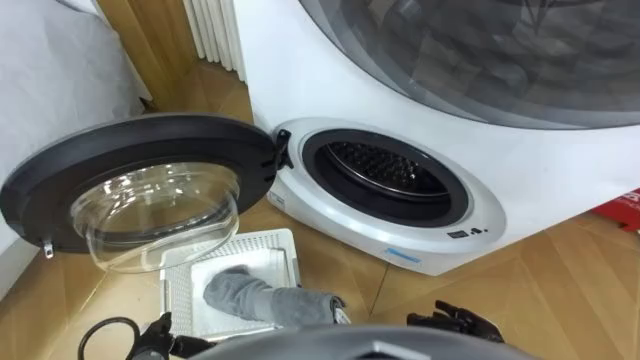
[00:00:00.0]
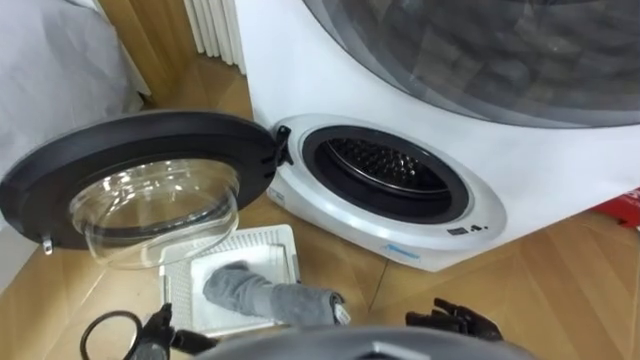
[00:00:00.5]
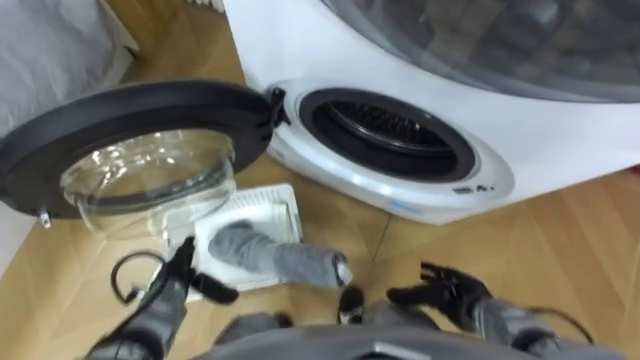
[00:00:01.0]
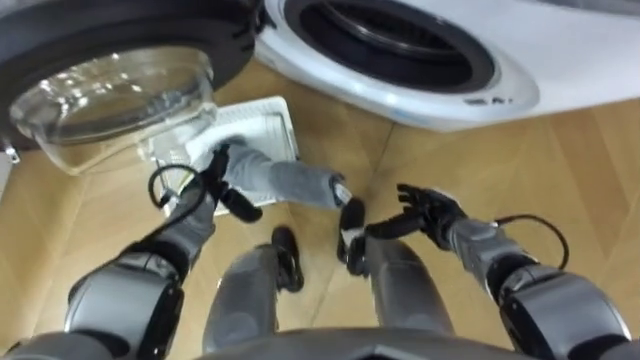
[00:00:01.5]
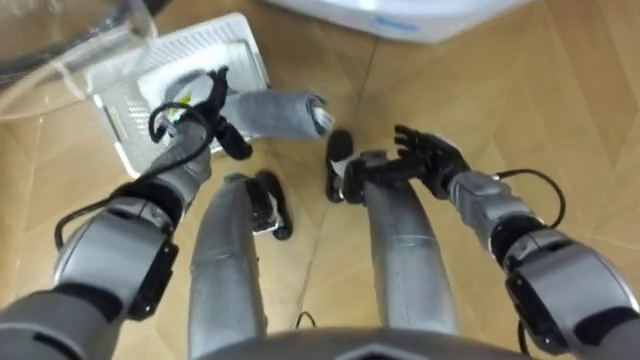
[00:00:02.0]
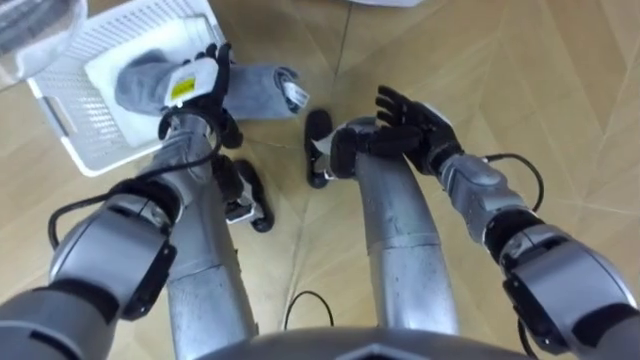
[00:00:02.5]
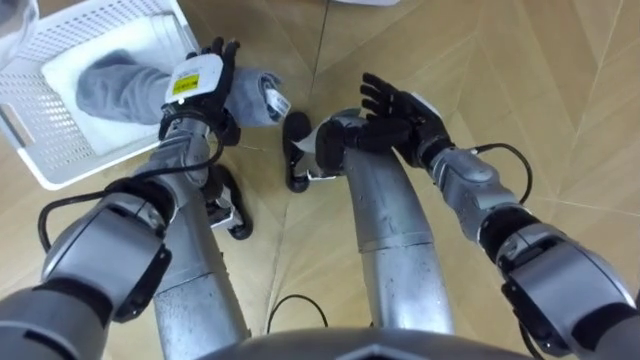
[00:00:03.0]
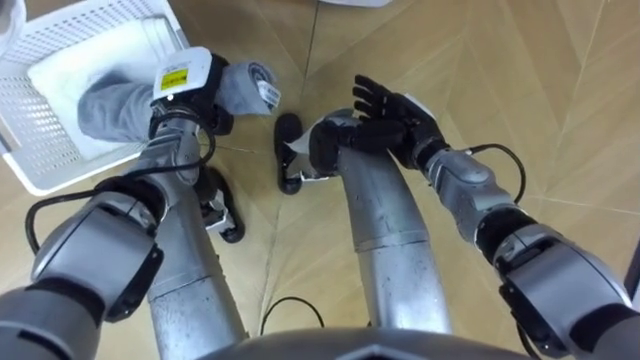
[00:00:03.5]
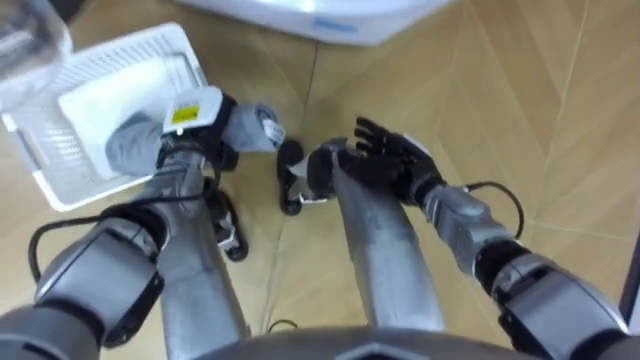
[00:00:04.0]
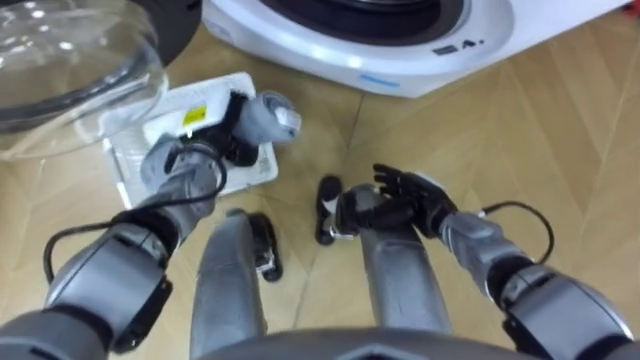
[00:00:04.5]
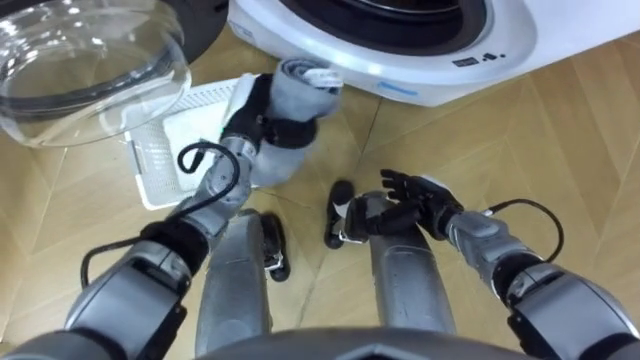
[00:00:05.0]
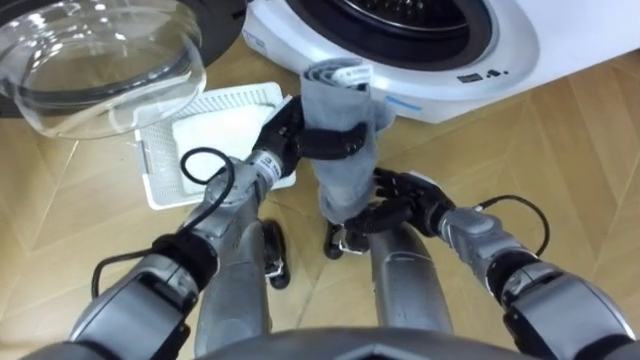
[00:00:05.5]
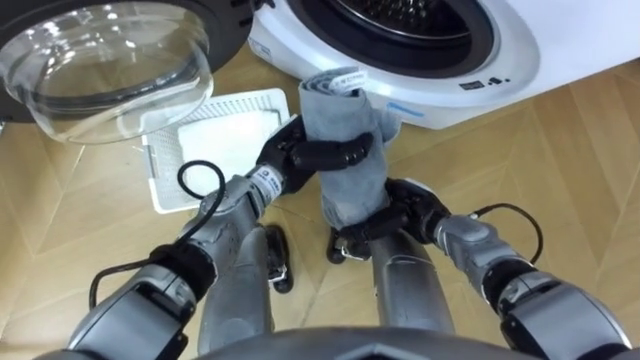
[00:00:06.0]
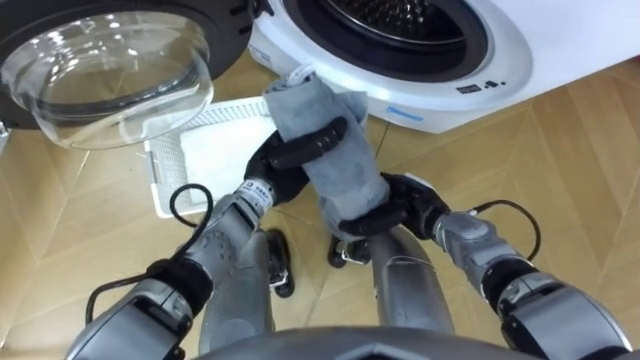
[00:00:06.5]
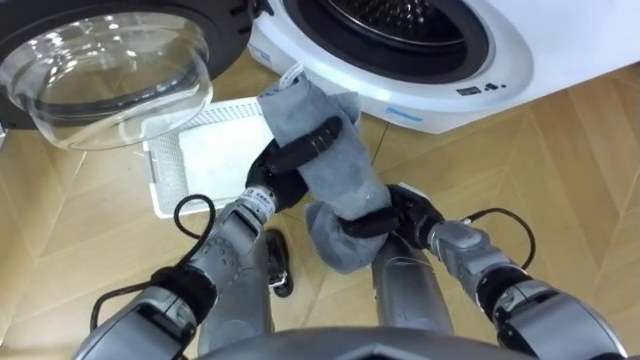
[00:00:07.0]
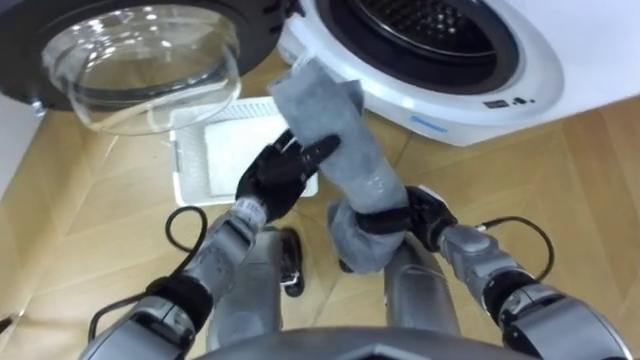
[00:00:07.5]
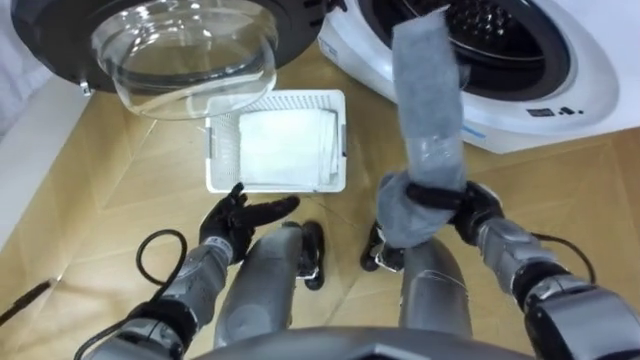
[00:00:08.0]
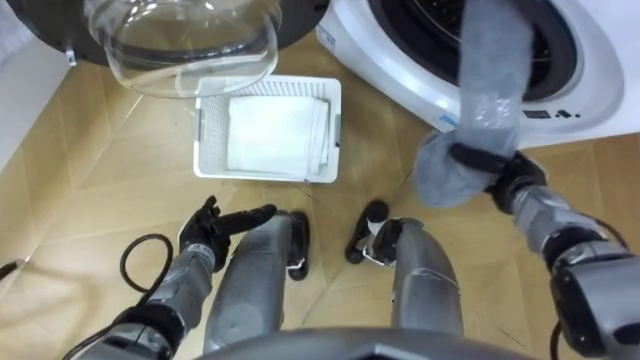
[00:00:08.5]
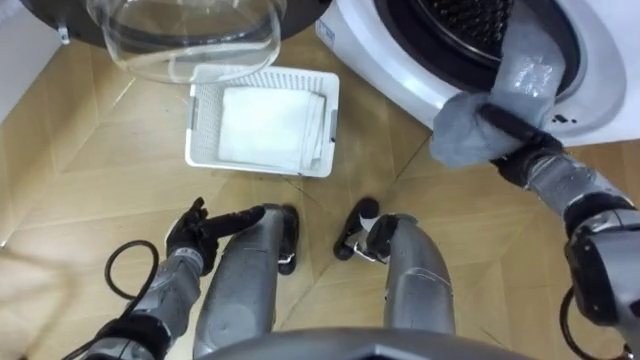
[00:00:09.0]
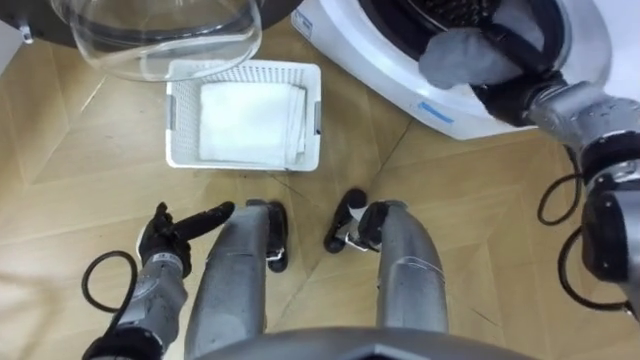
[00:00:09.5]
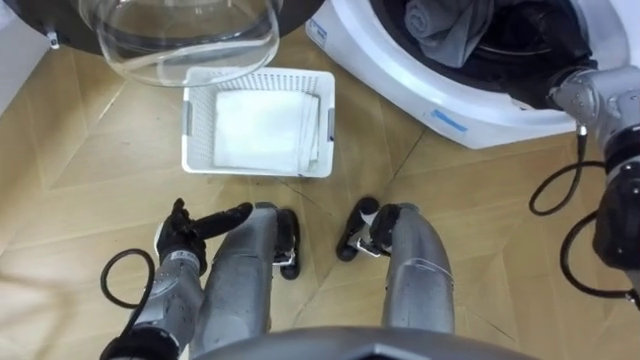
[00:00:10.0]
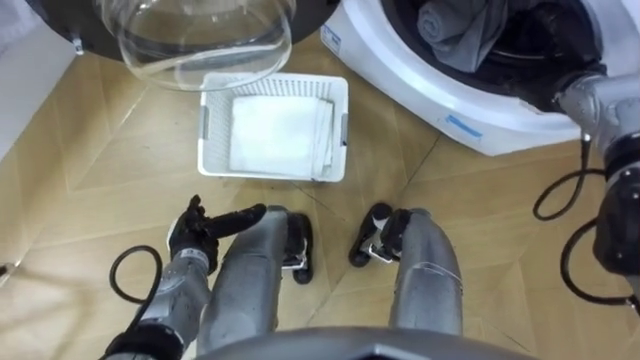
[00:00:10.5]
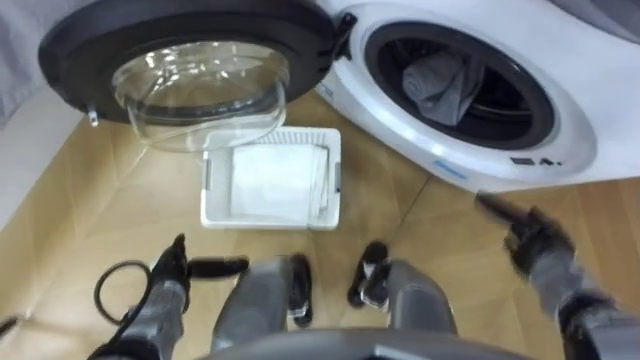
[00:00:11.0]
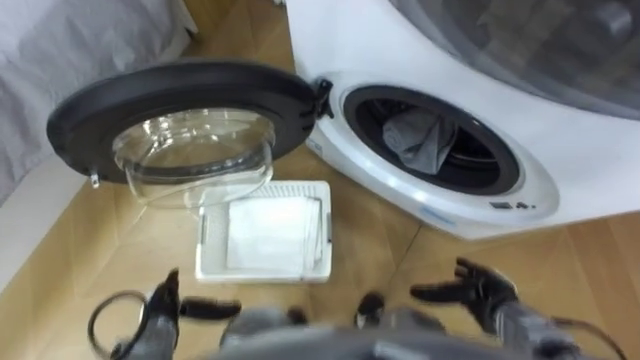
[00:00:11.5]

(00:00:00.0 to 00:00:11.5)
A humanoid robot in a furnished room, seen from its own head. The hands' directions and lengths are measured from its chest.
Task of the whole recording: Take the towel from the basket and put it into the washing machine.
00:00:02.0 - 00:00:04.0: The right hand shifts approximately 5 cm to the left. Meanwhile the left hand closes up.
00:00:04.0 - 00:00:06.0: The left hand goes some 15 cm to the right, while the right hand moves about 5 cm.
00:00:06.0 - 00:00:07.5: The left hand ends up about 5 cm from where it was, and opens up. Meanwhile the right hand closes its fingers.
00:00:07.5 - 00:00:09.5: The left hand heads to the left, backward and downward, covering about 20 cm. The right hand moves forward, upward and to the right, some 25 cm, and opens up.
00:00:09.5 - 00:00:11.5: The right hand travels backward and downward by some 30 cm. The left hand goes approximately 10 cm backward.

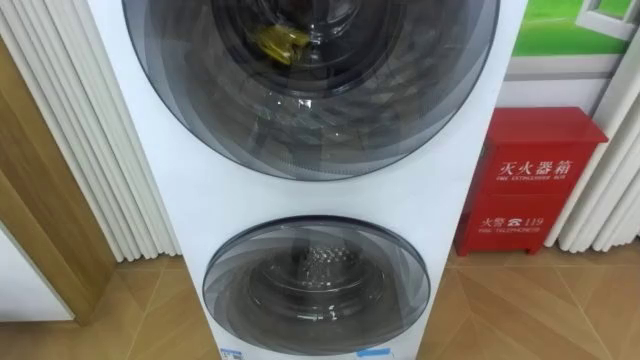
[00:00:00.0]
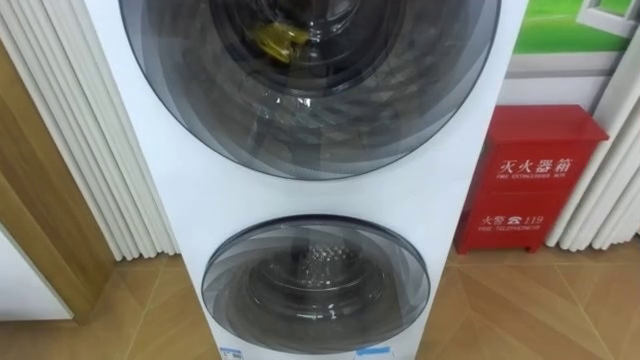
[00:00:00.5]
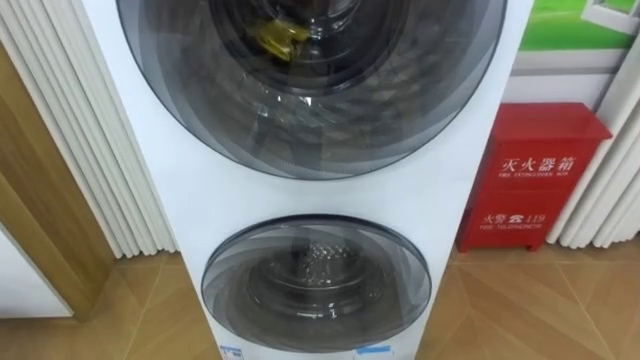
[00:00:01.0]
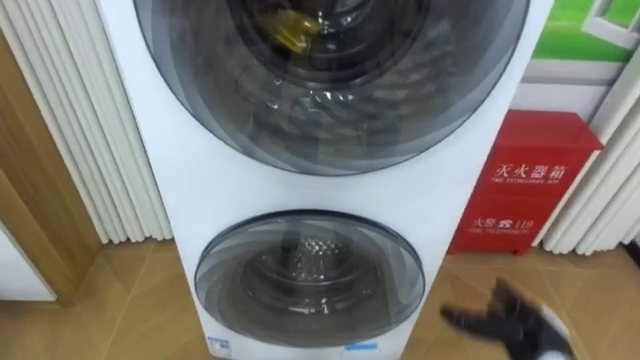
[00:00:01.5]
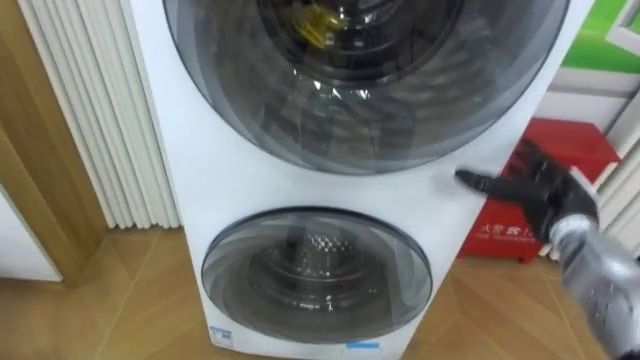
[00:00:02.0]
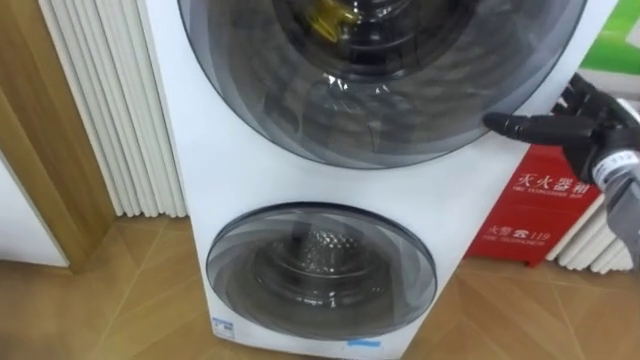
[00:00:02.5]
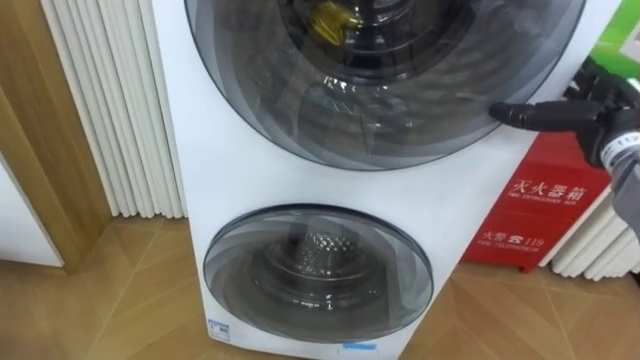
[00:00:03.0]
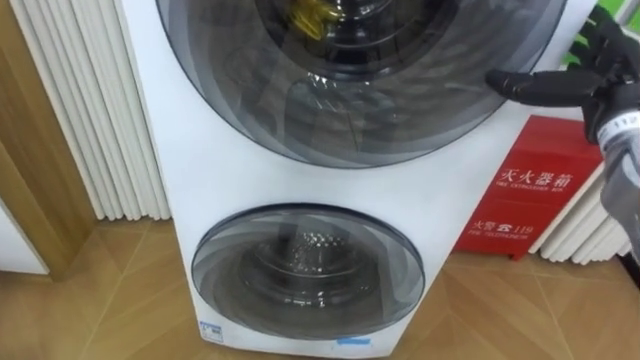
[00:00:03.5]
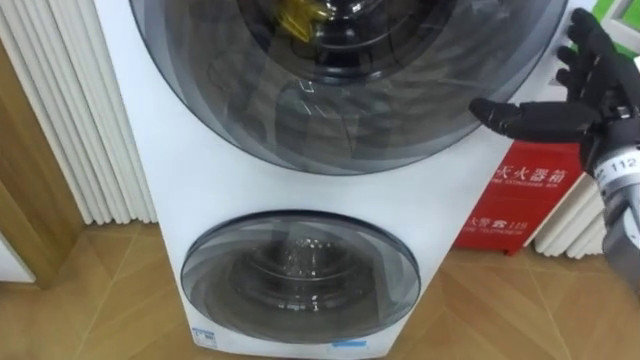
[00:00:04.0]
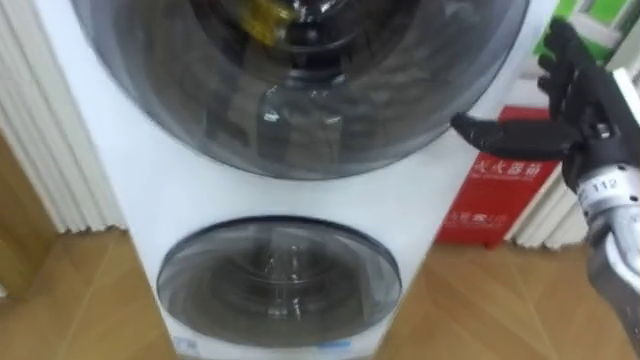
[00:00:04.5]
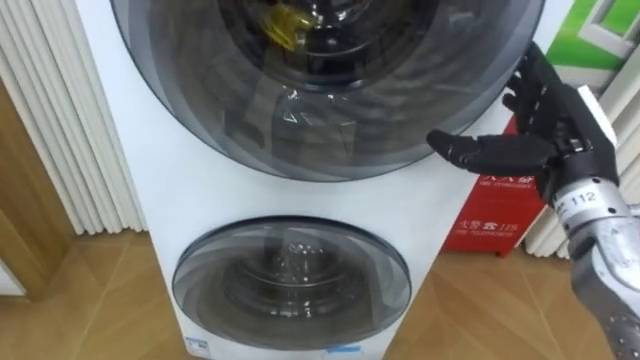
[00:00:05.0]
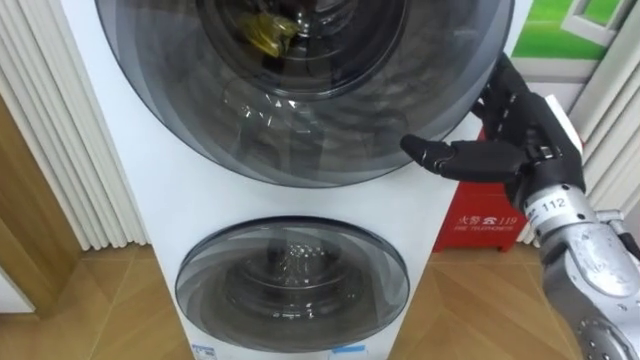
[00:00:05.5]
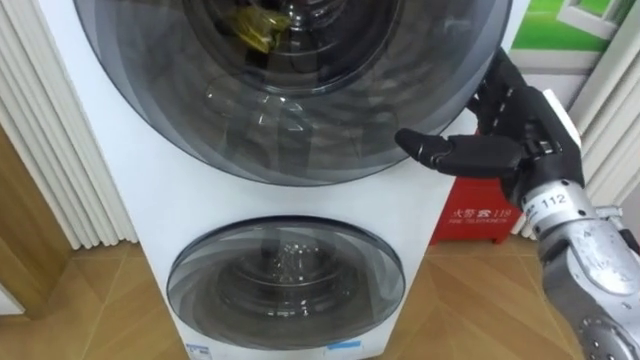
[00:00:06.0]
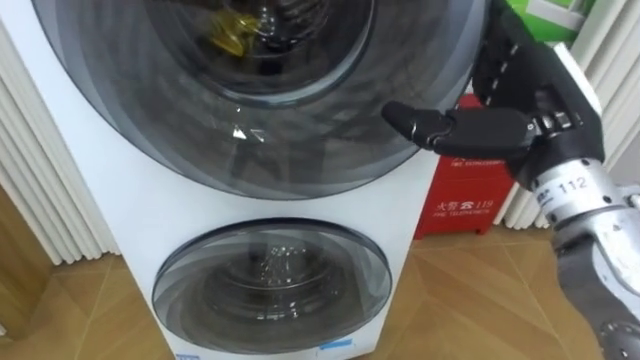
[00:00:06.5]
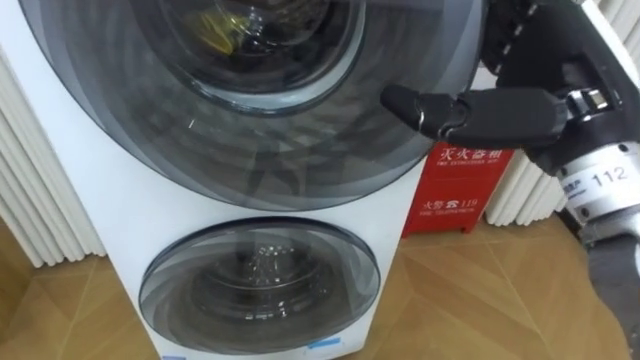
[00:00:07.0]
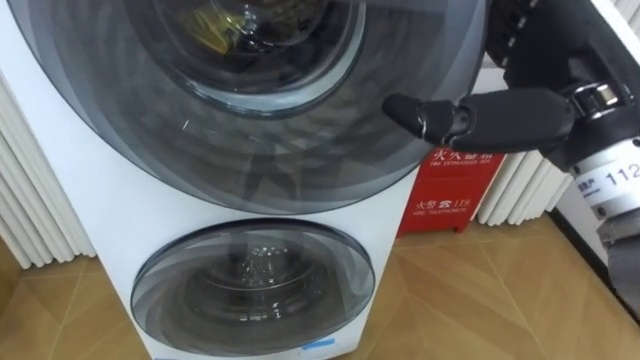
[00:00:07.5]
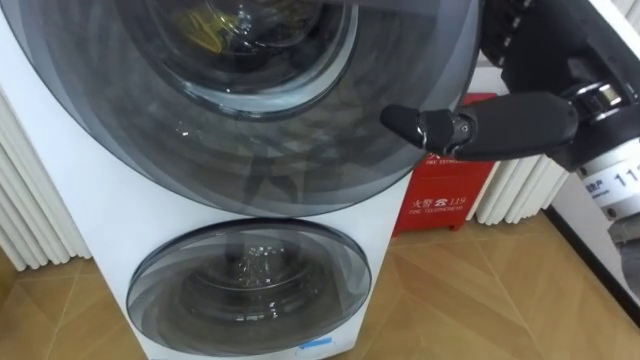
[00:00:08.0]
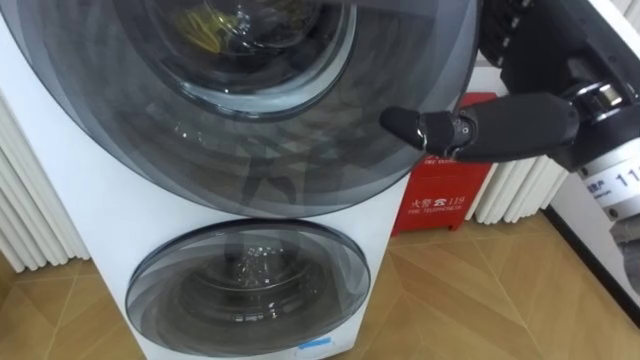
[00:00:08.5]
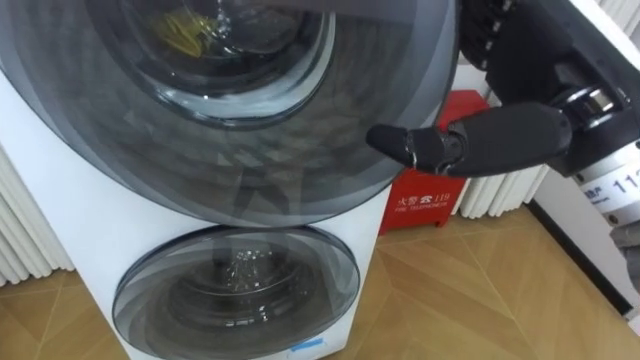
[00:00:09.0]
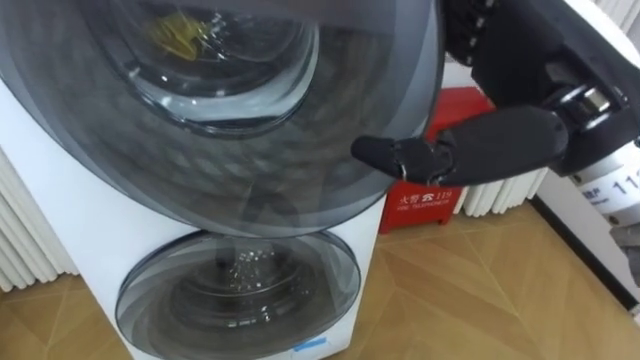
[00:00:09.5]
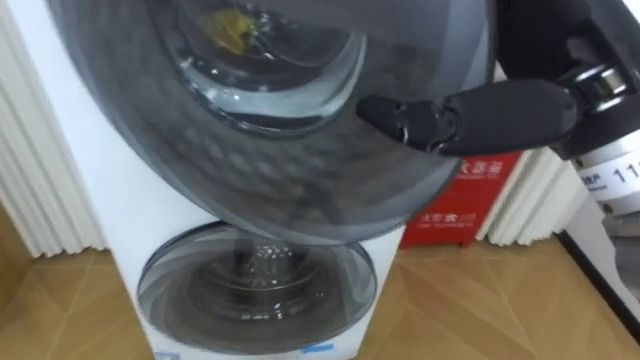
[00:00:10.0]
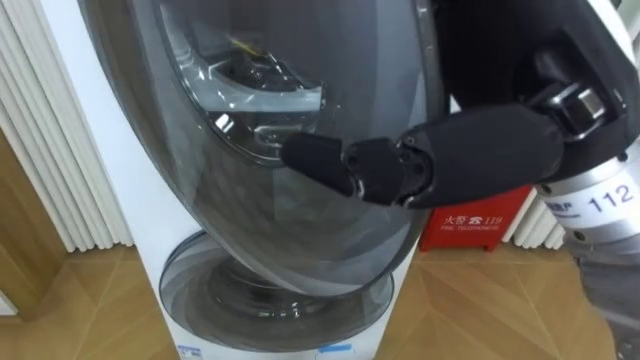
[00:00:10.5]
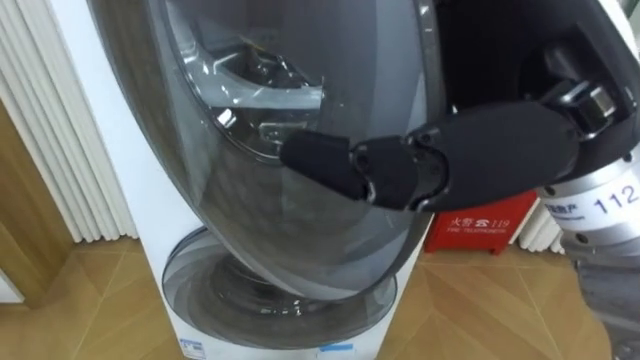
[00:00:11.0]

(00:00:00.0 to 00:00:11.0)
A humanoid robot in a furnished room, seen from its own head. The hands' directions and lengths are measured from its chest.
Task of the whole recording: Open the washing machine door, take out the yellow clothes, place them in the box on the right, and close the washing machine door.
00:00:02.0 - 00:00:03.5: The right hand heads upward, covering approximately 15 cm.
00:00:03.5 - 00:00:05.5: The right hand heads to the left and backward, covering some 10 cm.
00:00:05.5 - 00:00:07.5: The right hand travels upward and backward by roughly 10 cm.
00:00:09.0 - 00:00:11.0: The right hand goes about 5 cm to the left.
